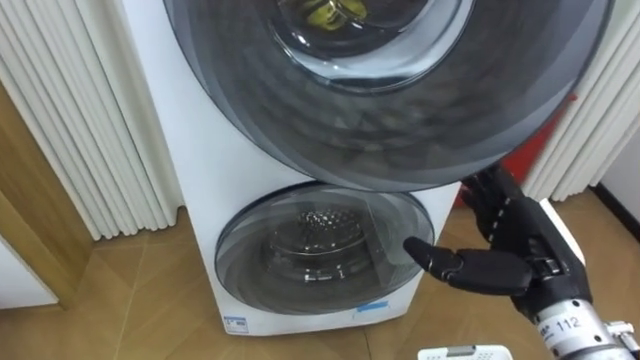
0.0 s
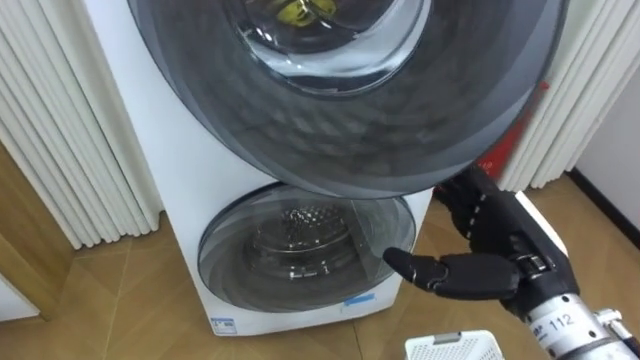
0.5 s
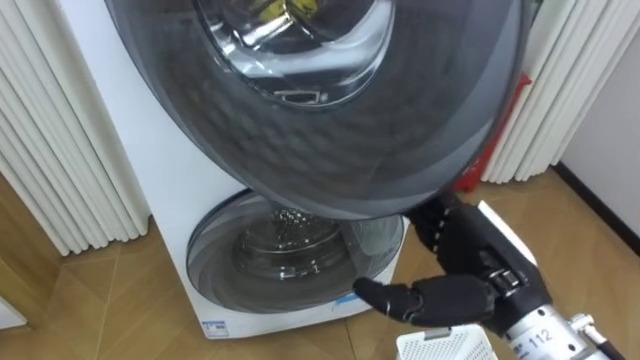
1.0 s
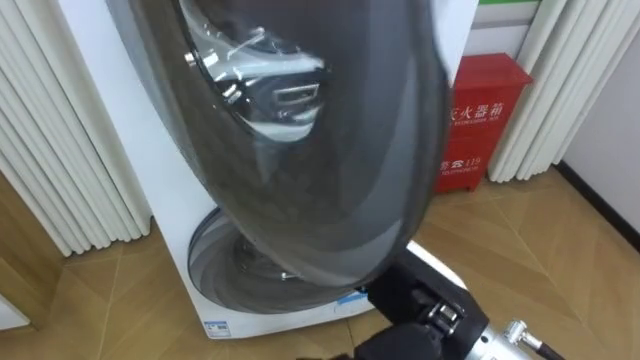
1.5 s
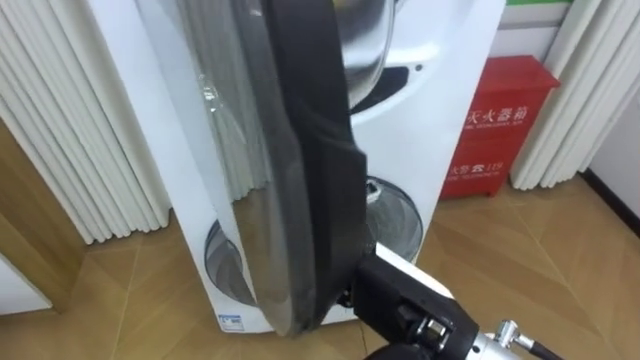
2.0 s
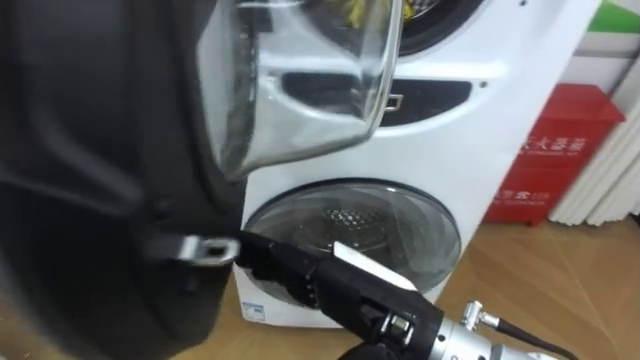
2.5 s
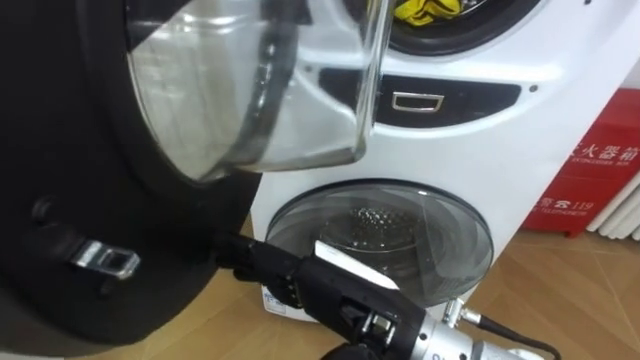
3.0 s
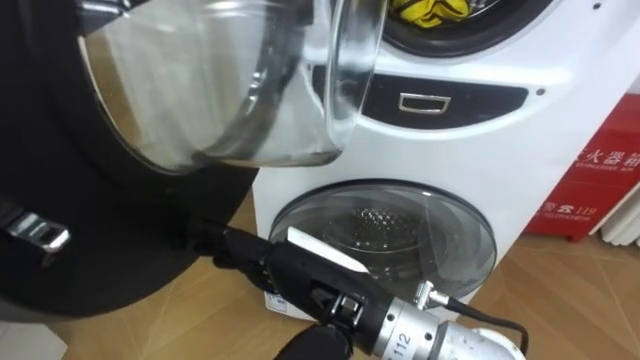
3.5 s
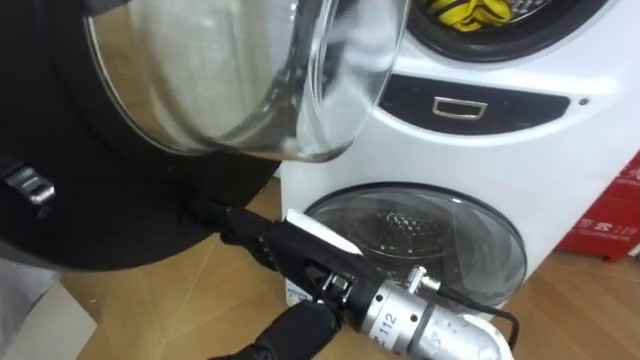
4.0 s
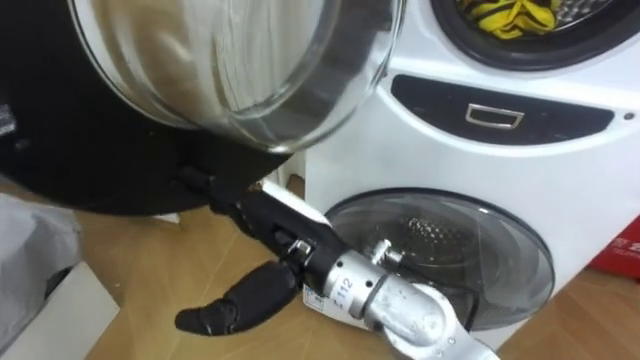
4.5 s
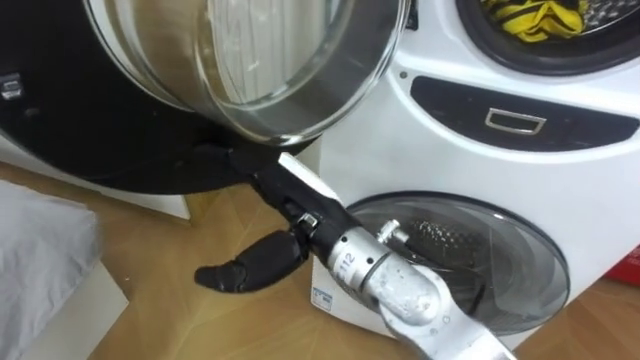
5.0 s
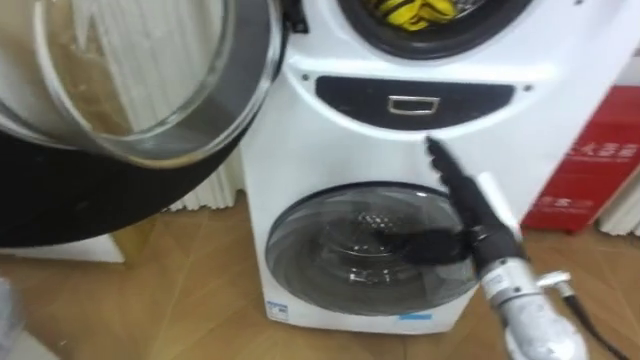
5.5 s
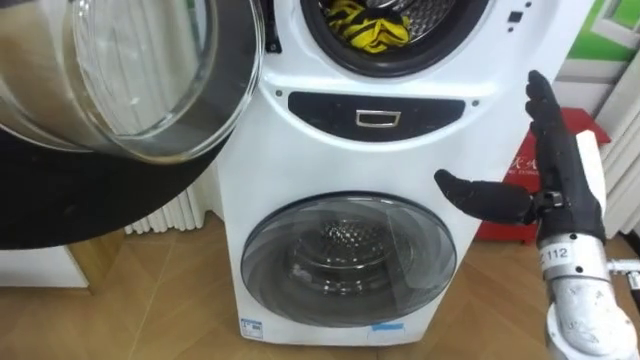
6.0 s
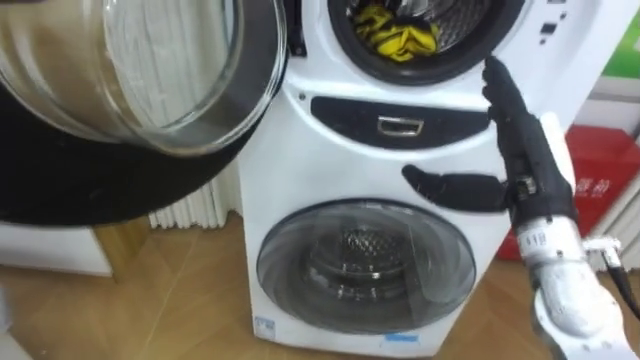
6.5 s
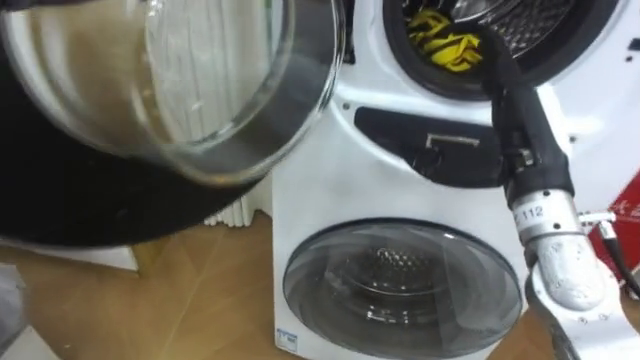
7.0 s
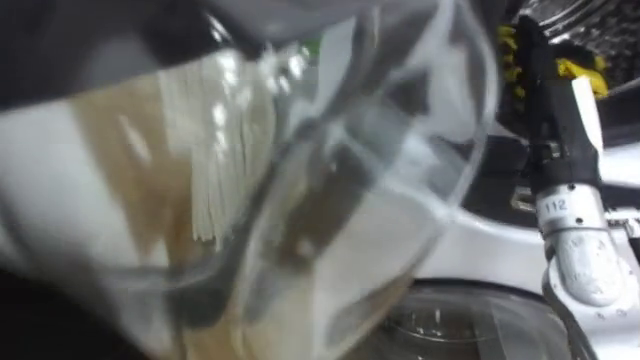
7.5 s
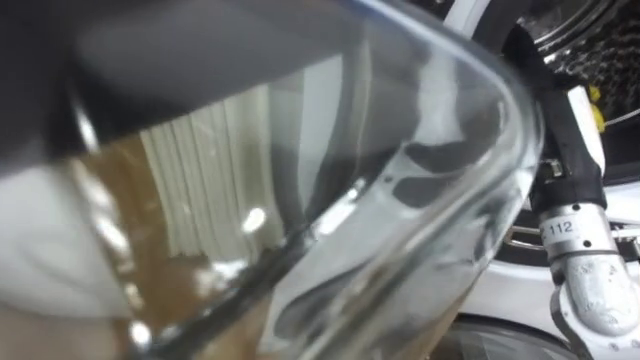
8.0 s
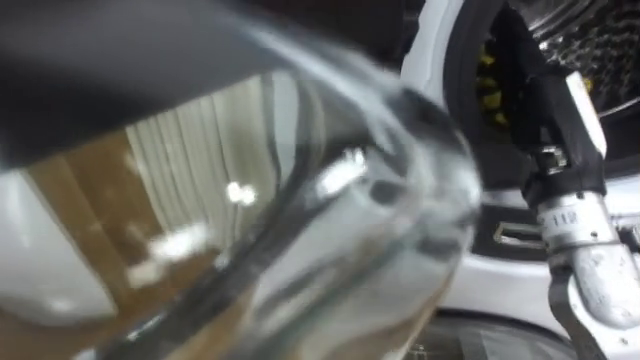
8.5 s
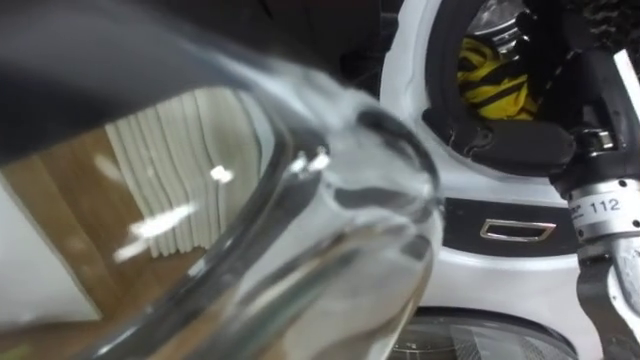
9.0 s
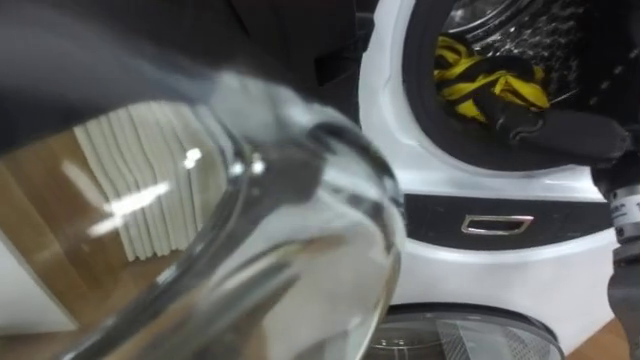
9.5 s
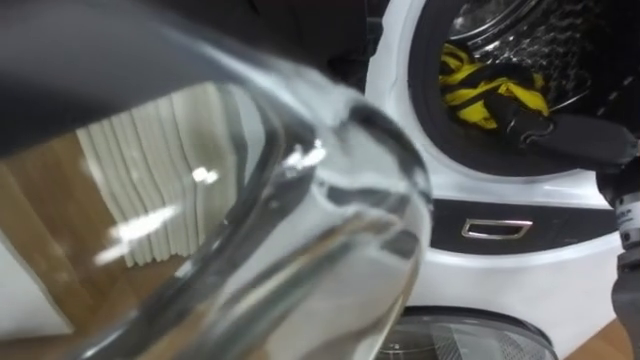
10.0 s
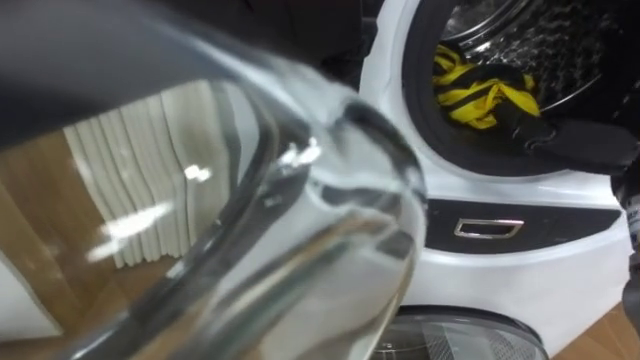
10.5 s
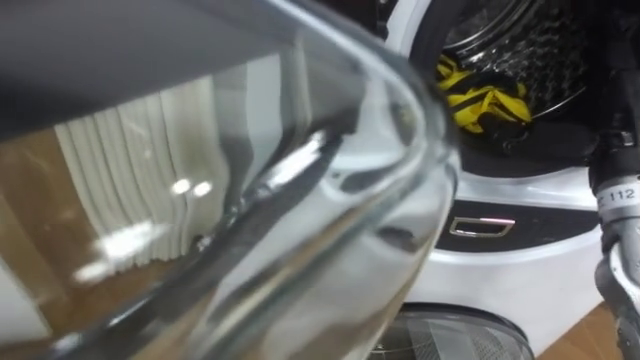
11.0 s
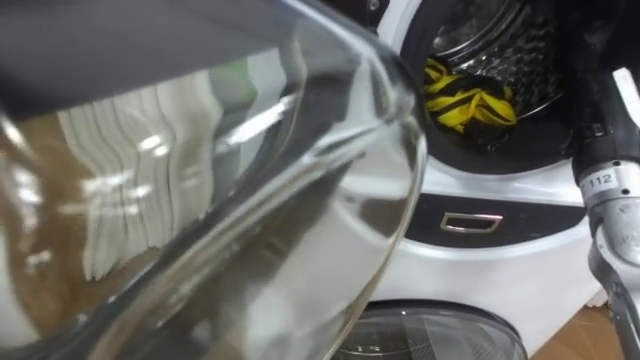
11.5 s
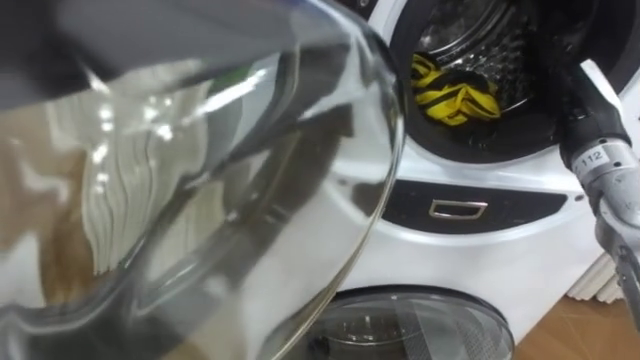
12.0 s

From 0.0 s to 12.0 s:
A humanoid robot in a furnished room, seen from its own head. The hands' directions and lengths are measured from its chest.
Task of the whole recording: Open the washing machine door, take out the yellow clothes, place them in the box on the right, and close the washing machine door.
From 0.0 s to 2.0 s: The right hand moves to the left and backward, some 15 cm.
From 2.0 s to 4.0 s: The right hand is displaced to the left by some 10 cm.
From 4.0 s to 6.0 s: The right hand moves to the right, some 25 cm.
From 8.0 s to 10.0 s: The right hand is displaced to the right by approximately 5 cm.

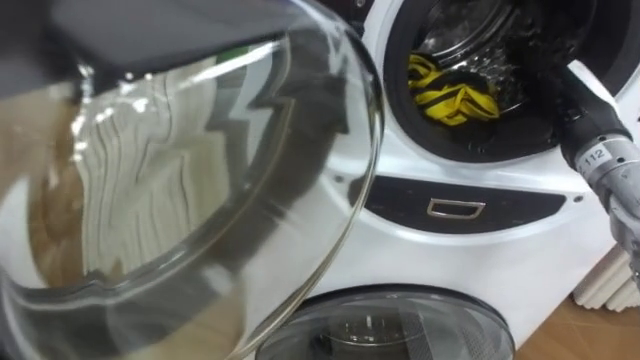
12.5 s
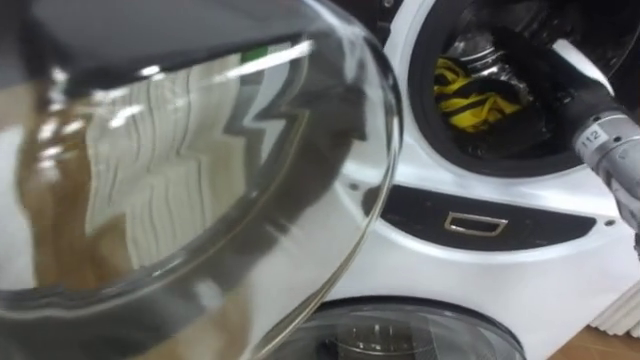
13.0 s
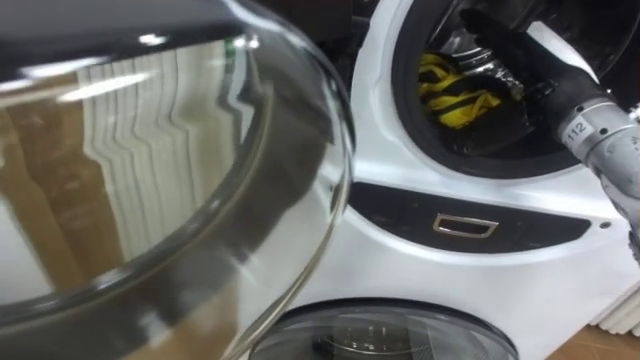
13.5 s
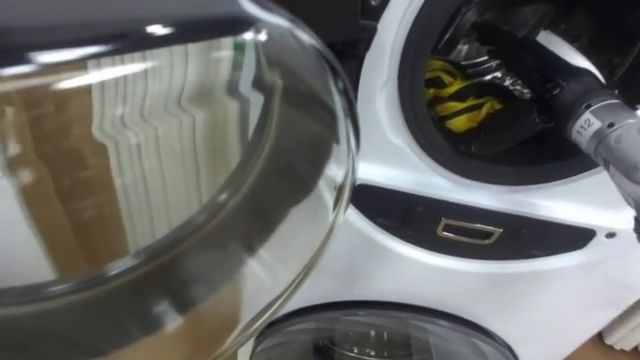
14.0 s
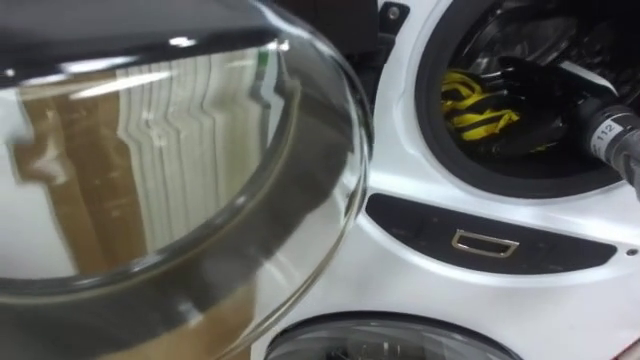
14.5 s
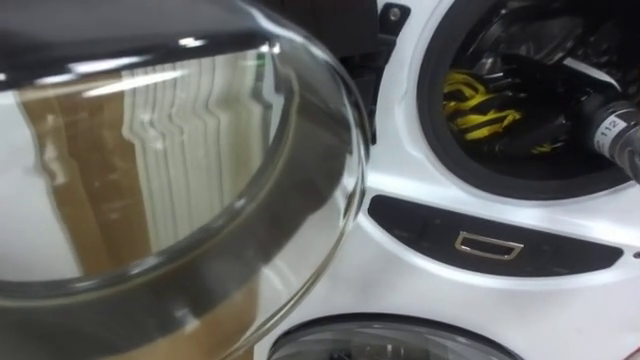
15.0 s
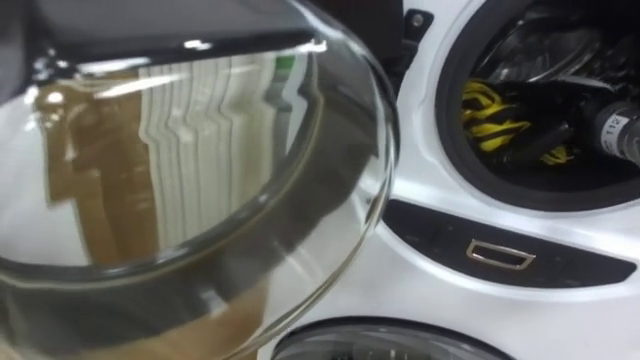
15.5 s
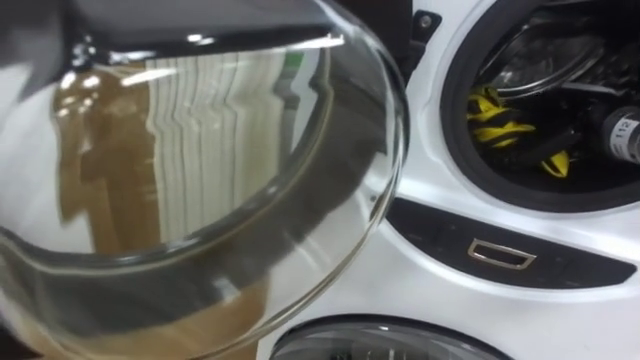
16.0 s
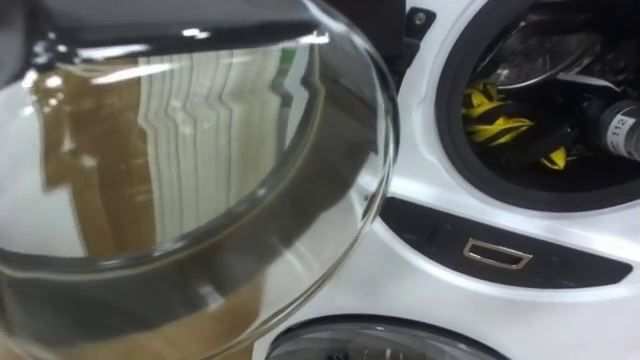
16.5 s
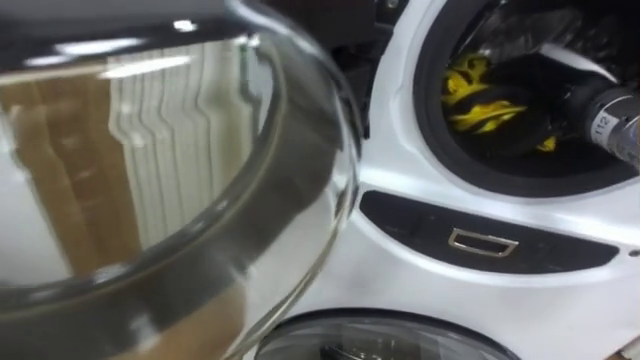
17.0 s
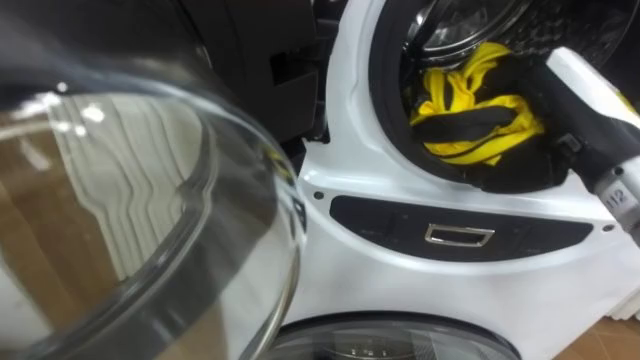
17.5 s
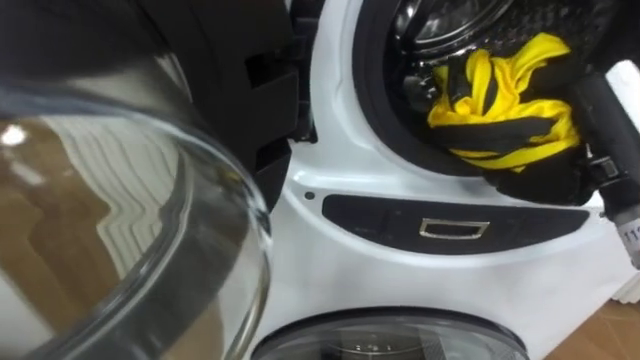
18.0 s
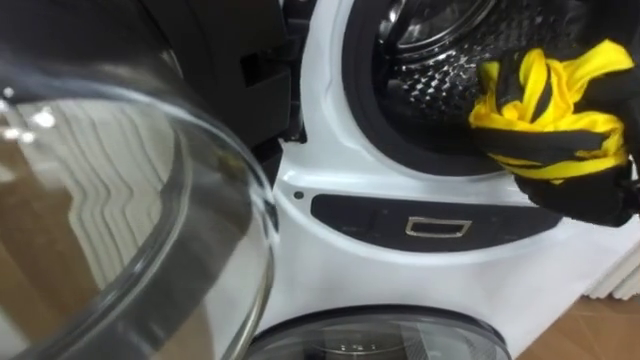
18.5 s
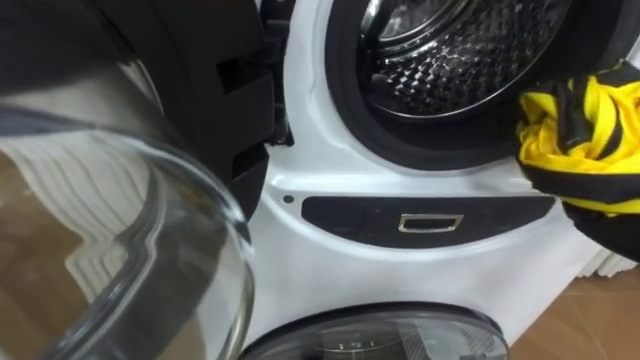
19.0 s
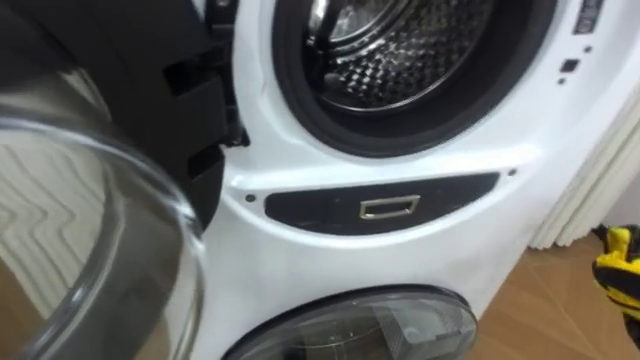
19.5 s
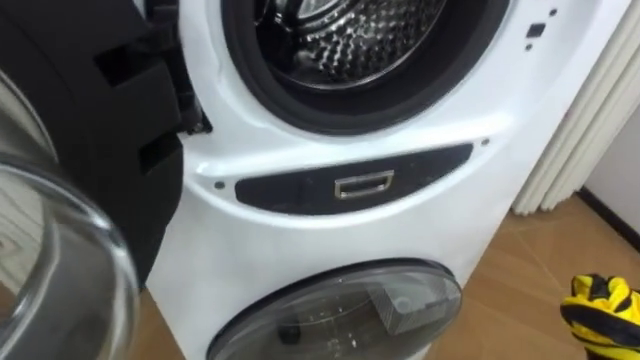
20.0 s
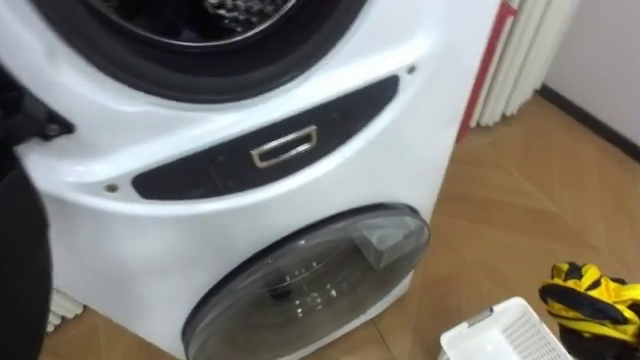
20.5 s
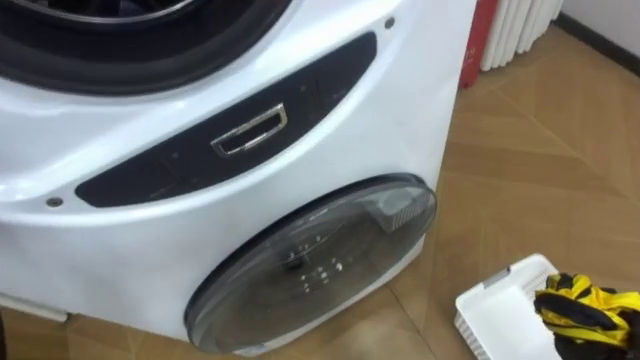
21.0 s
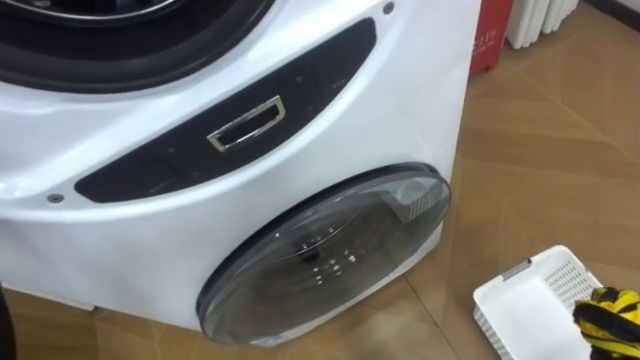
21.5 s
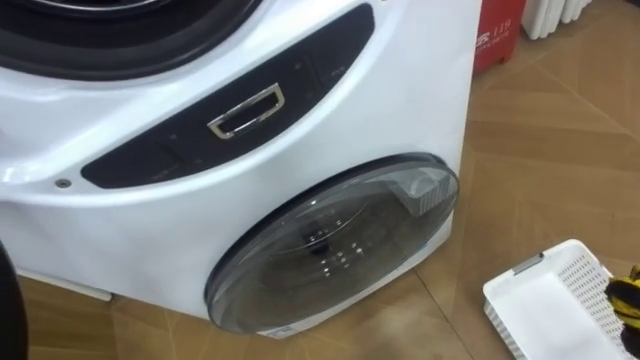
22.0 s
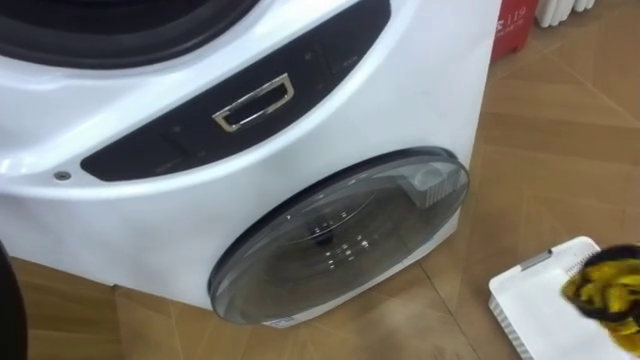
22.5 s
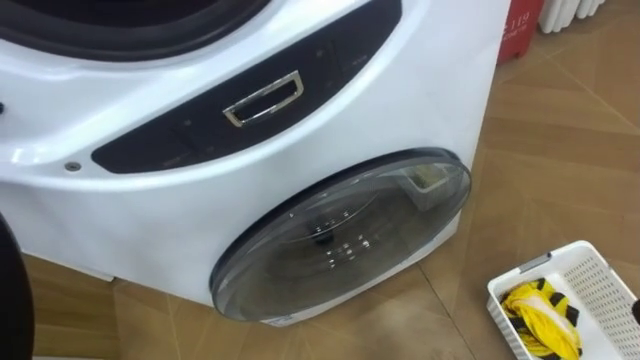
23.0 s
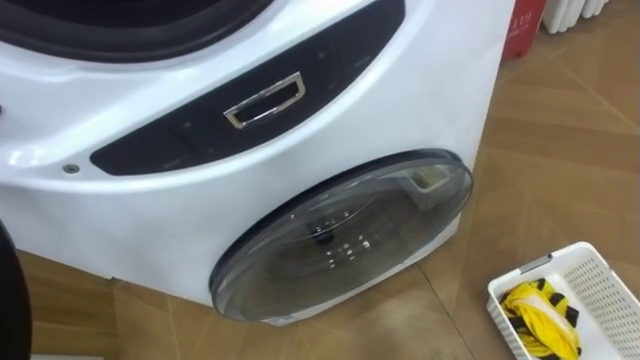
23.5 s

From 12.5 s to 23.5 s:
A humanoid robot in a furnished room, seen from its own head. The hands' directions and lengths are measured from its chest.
Task of the whole recording: Open the washing machine door, take out the yellow clothes, place them in the box on the right, and close the washing machine door.
From 14.5 s to 16.0 s: The right hand closes its fingers.
From 16.0 s to 18.0 s: The right hand goes about 15 cm backward and upward, and closes its fingers.
